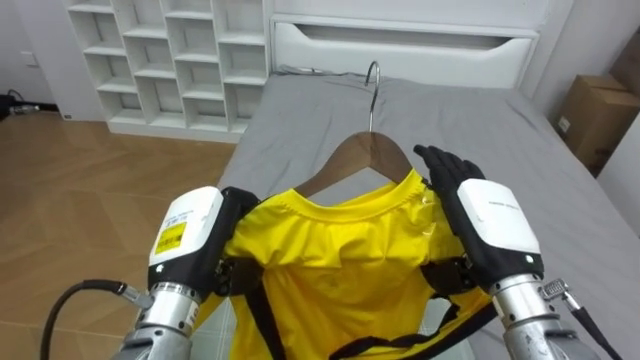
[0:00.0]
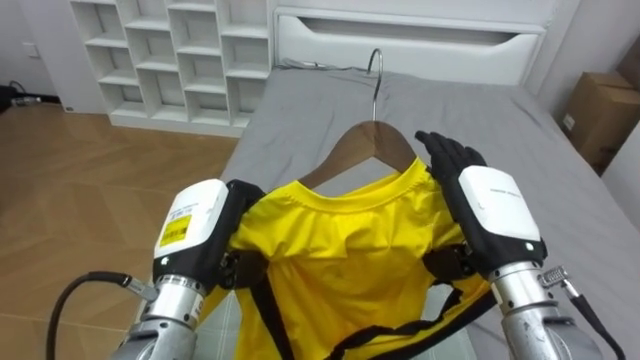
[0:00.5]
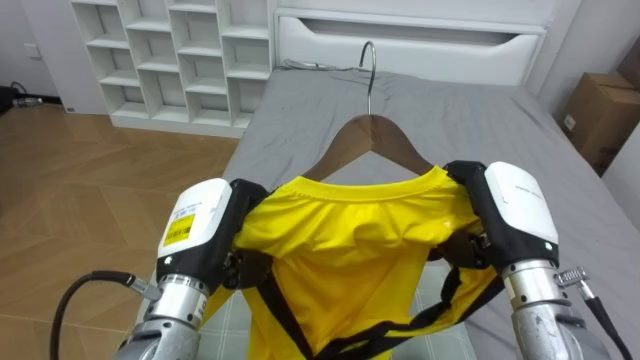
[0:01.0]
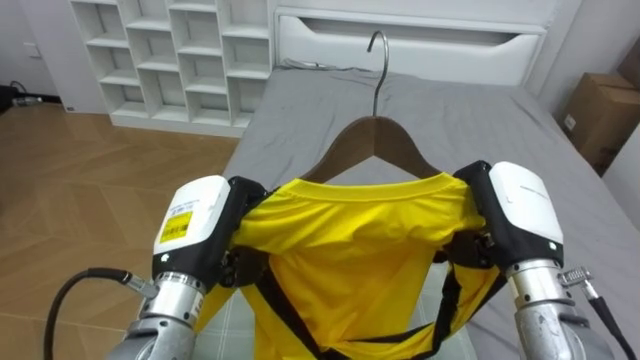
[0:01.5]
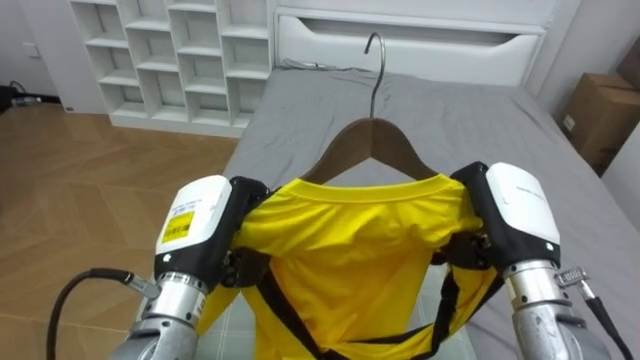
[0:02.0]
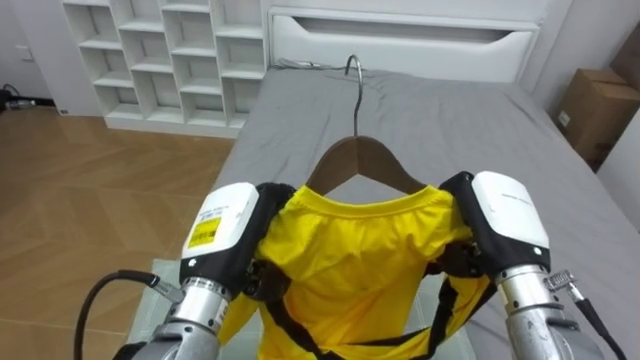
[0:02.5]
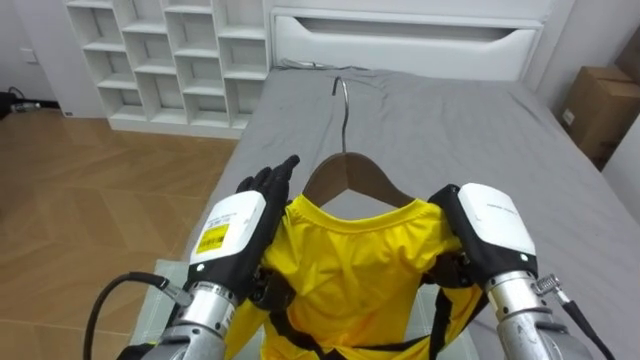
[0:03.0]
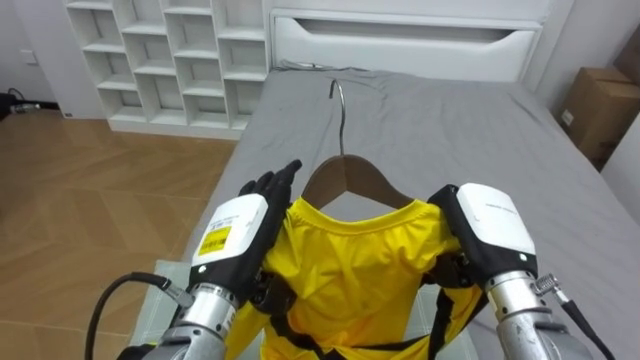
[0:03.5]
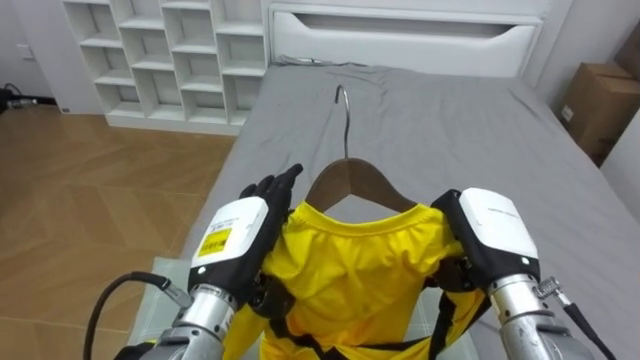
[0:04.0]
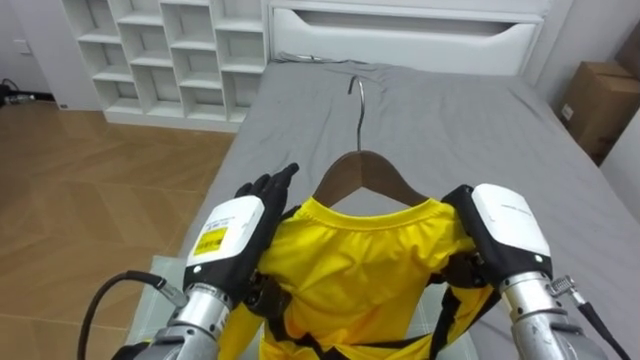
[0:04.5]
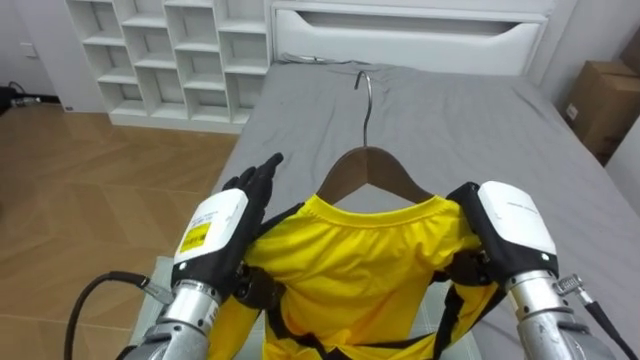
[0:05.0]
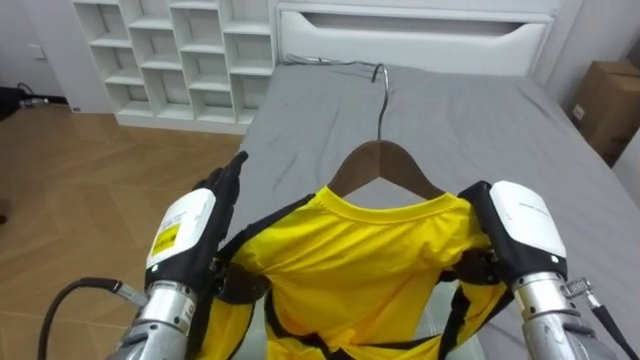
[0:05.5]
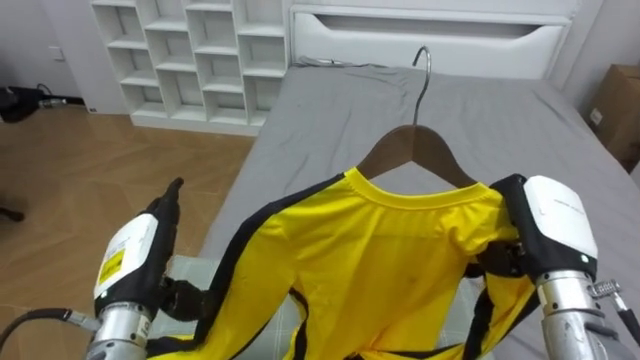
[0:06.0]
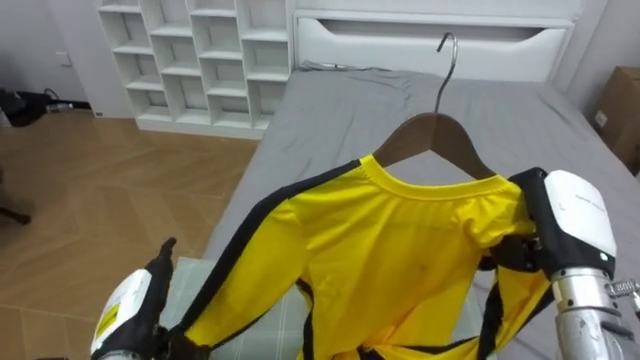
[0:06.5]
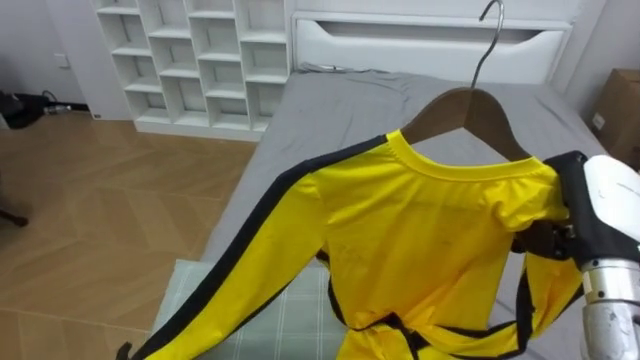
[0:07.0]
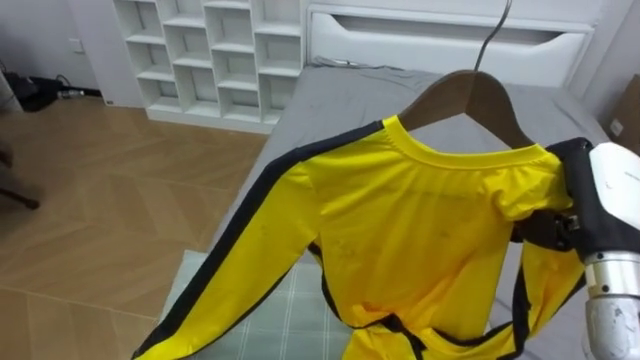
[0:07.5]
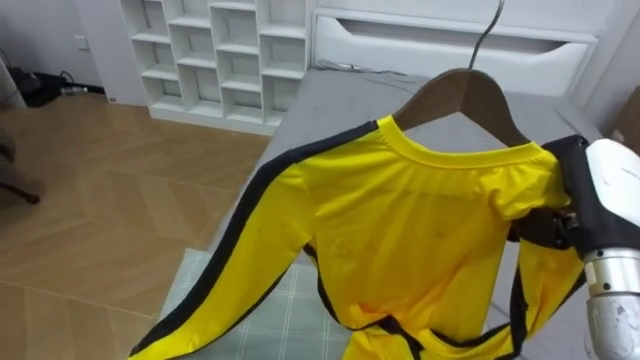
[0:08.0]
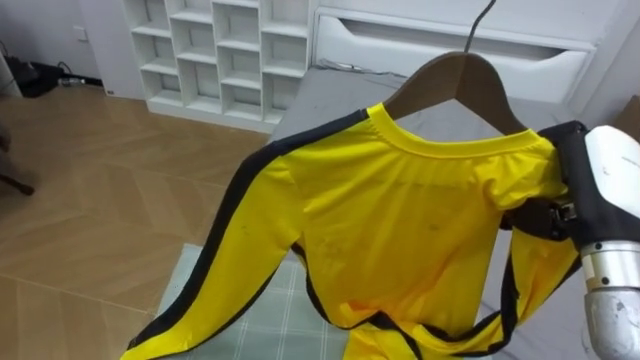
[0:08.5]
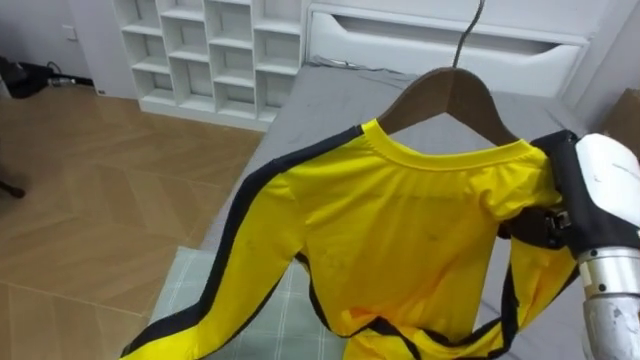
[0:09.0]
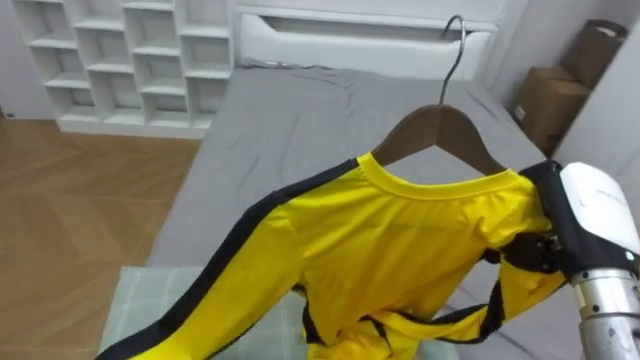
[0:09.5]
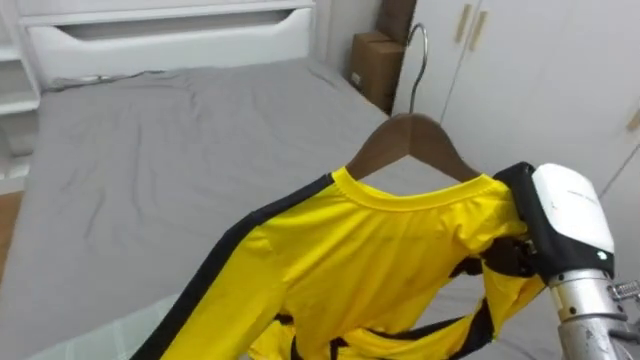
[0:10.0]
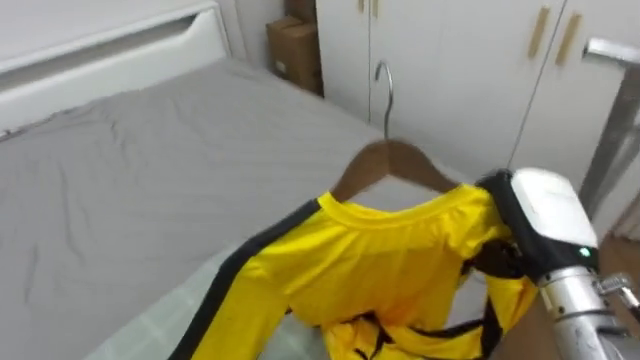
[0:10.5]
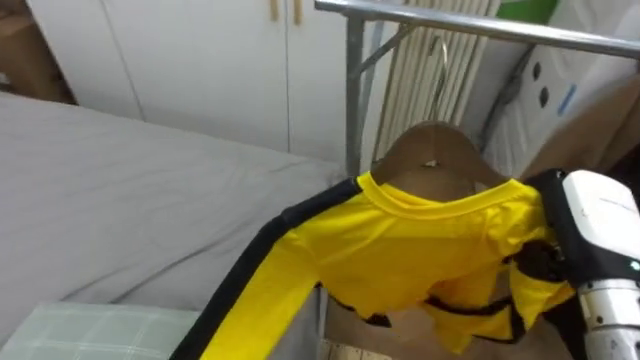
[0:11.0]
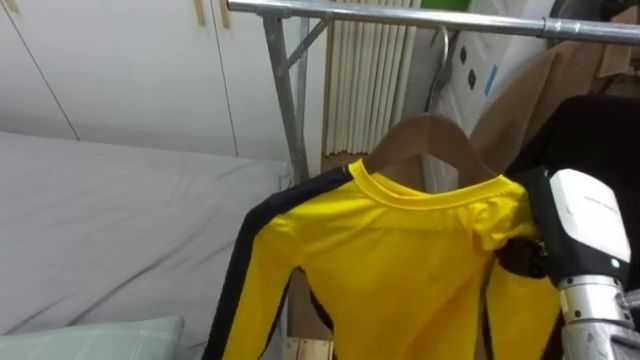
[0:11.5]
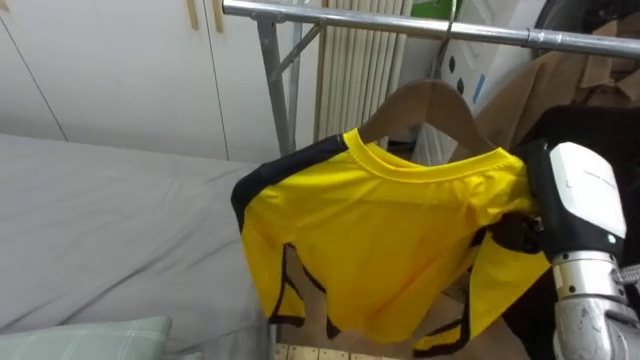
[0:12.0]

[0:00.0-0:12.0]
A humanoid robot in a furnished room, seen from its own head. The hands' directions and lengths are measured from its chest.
Task of the whole recording: Pick up the yellow shirt on the bed and hang it on the clothes rack on the right.
0:00.0 to 0:02.0: The right hand closes.
0:02.0 to 0:04.0: The left hand opens up.
0:04.0 to 0:06.0: The left hand is displaced to the left by roughly 10 cm; the right hand moves to the right, about 5 cm.
0:06.0 to 0:08.0: The right hand moves upward, about 5 cm.
0:08.0 to 0:10.0: The robot's body swings roughly 35 degrees to its right.
0:10.0 to 0:12.0: The robot turns to its right by approximately 60 degrees.

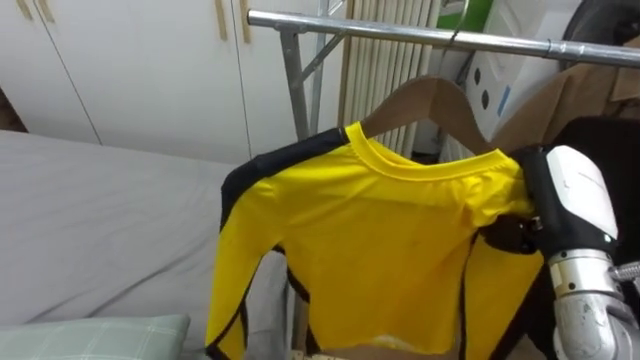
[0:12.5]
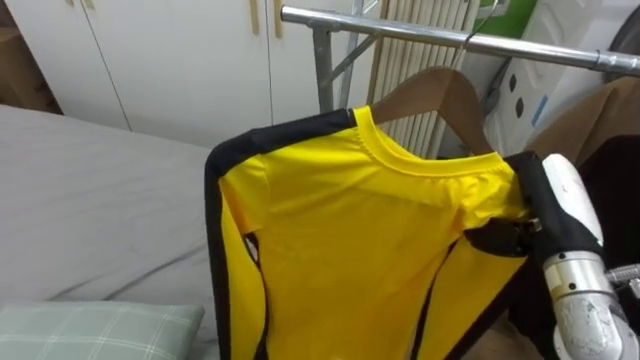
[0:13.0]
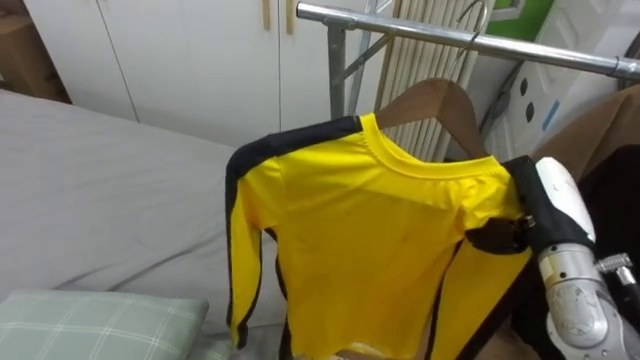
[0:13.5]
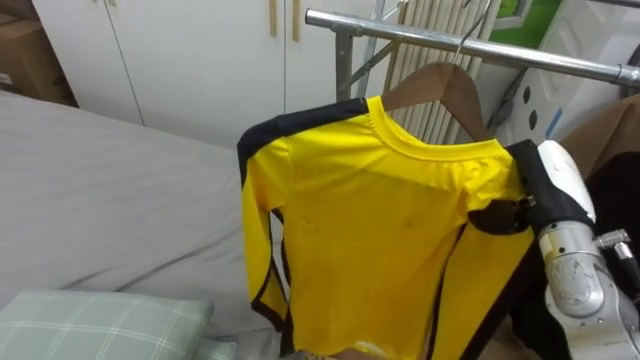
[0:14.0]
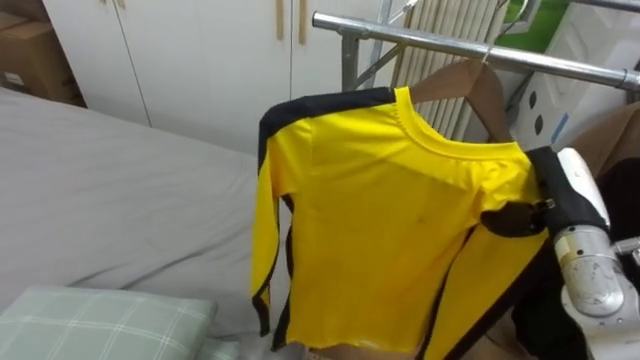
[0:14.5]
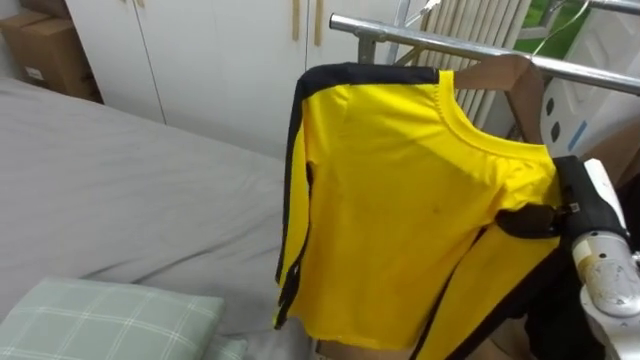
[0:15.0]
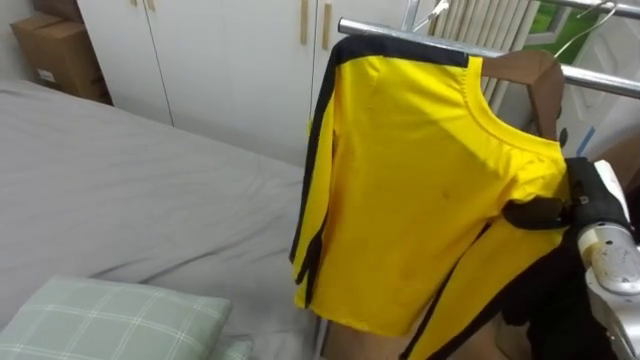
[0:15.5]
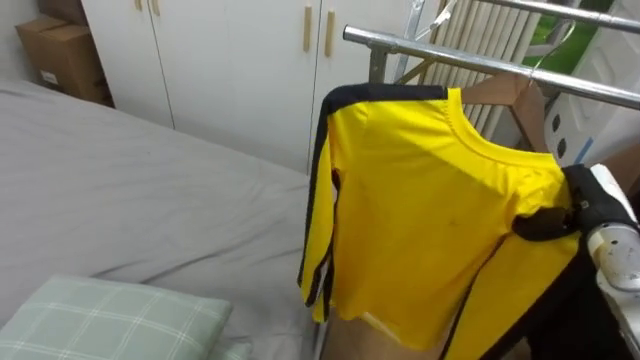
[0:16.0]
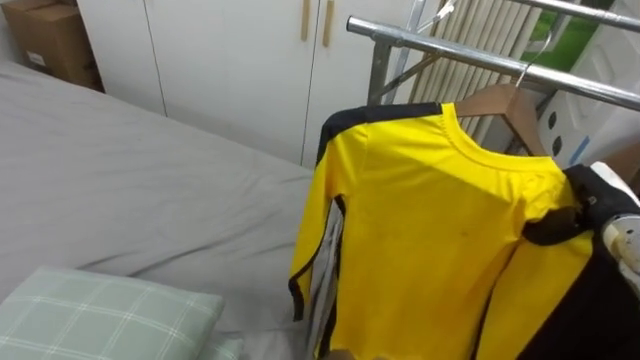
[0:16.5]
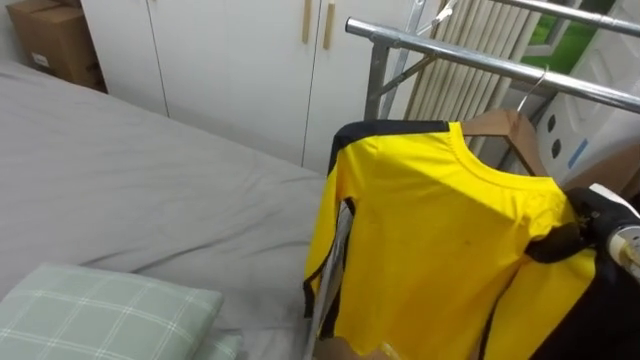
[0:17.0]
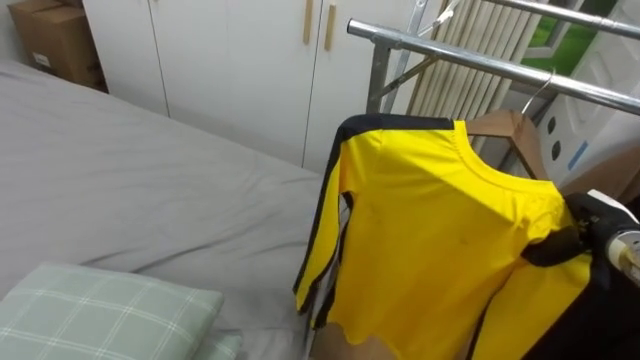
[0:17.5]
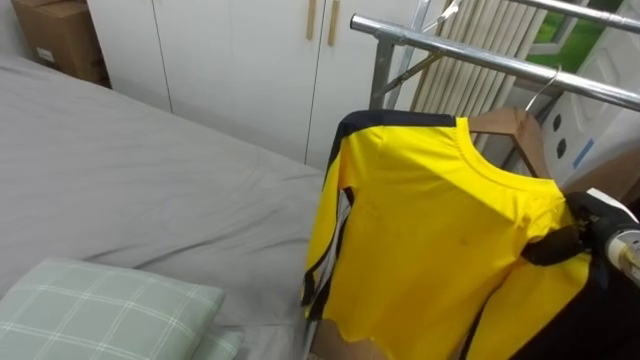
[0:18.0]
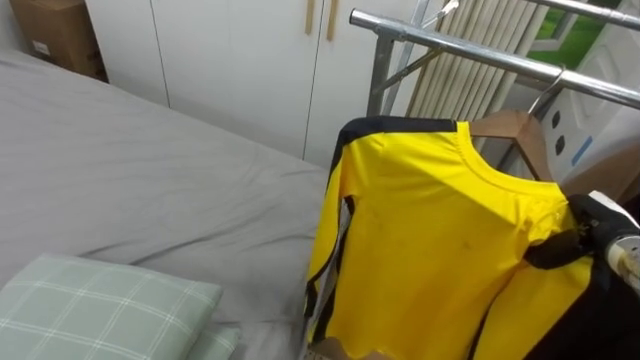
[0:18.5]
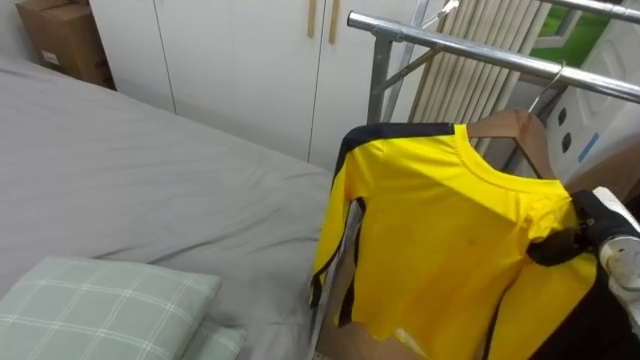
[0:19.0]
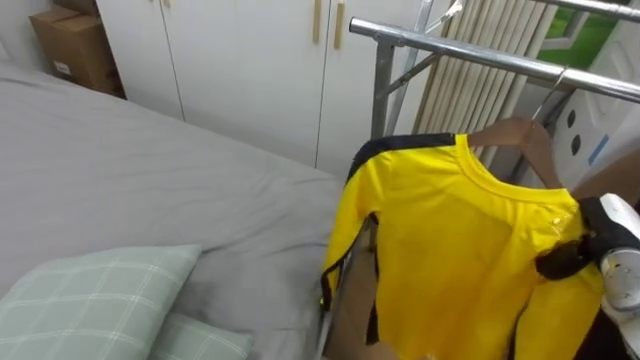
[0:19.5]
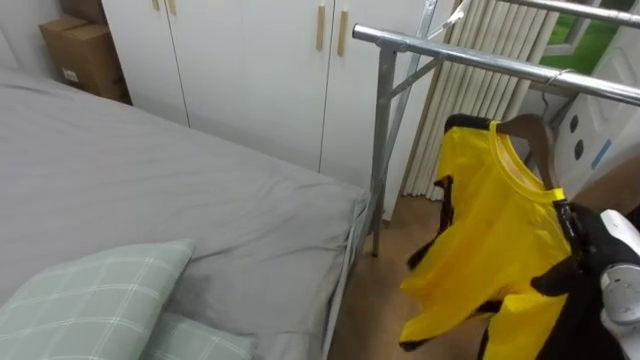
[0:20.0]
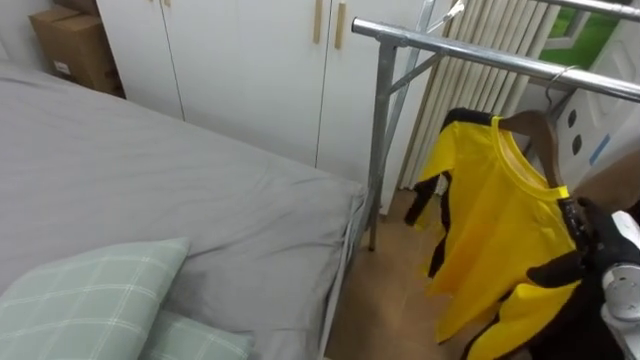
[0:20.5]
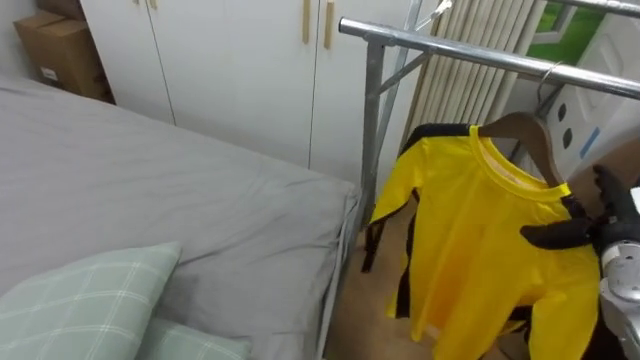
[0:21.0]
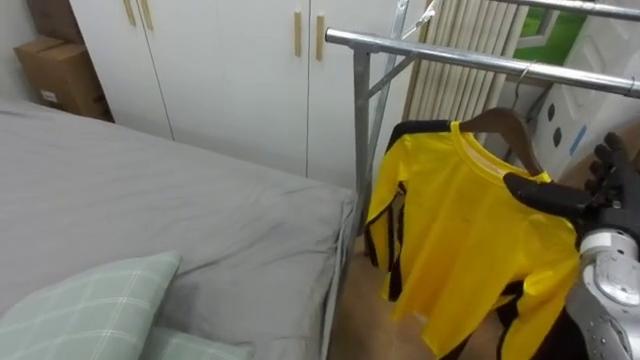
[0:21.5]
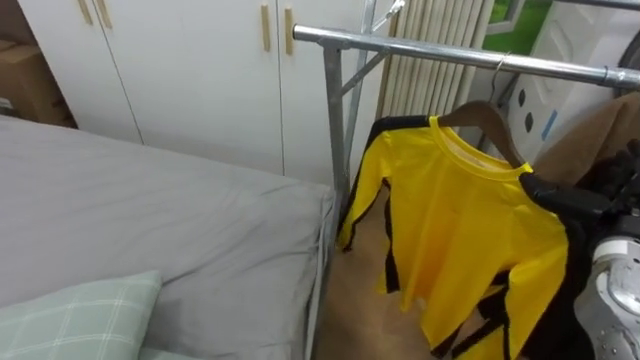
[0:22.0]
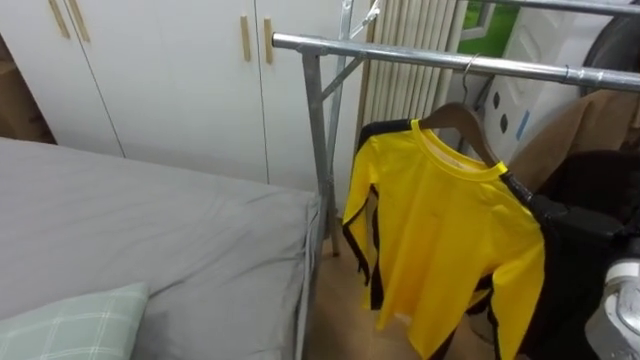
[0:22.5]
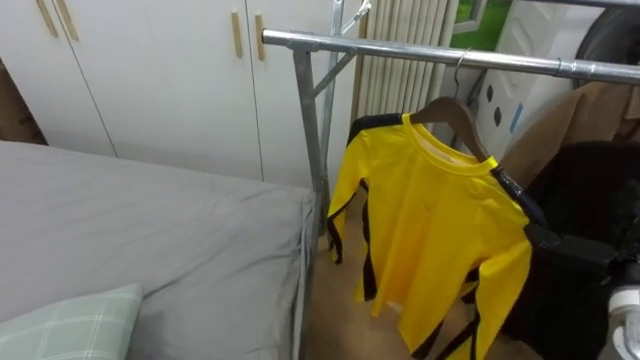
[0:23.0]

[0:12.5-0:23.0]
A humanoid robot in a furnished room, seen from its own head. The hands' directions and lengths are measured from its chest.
Task of the whole recording: Pick up the yellow shirt on the bed and hang it on the clothes rack on the right.
0:12.5 to 0:14.5: The right hand shifts by about 5 cm.
0:14.5 to 0:16.5: The right hand travels to the right by about 5 cm.
0:19.0 to 0:21.0: The right hand opens its fingers.
